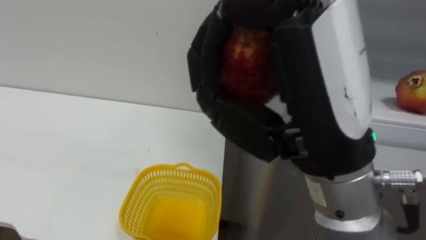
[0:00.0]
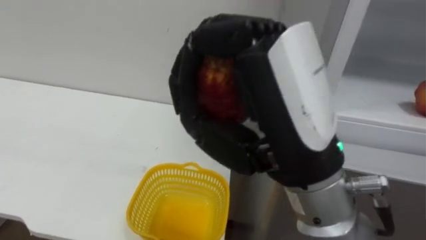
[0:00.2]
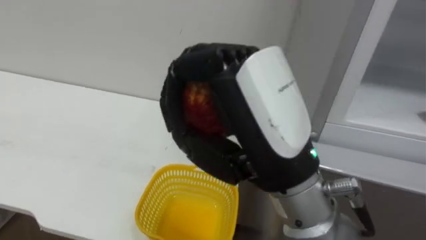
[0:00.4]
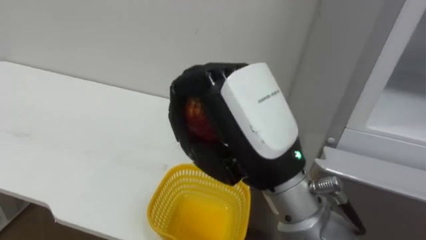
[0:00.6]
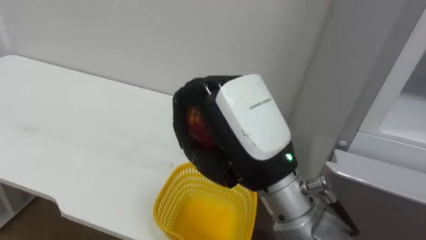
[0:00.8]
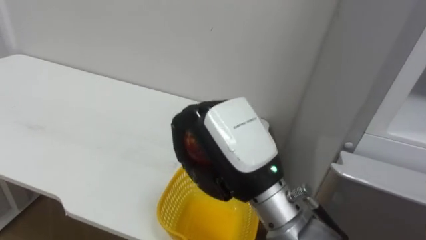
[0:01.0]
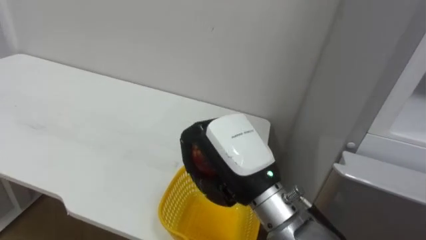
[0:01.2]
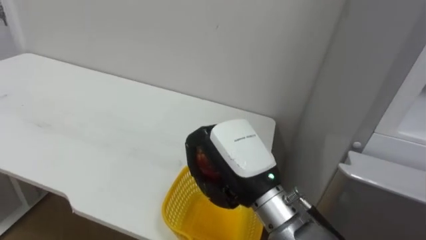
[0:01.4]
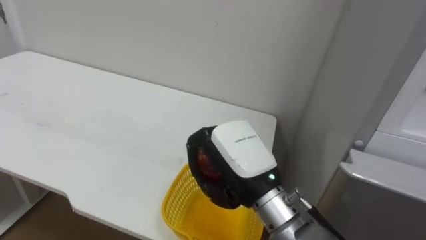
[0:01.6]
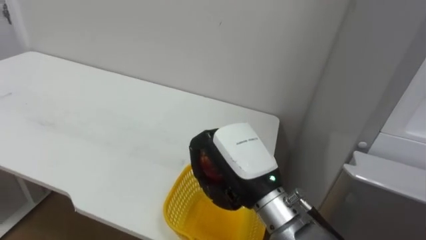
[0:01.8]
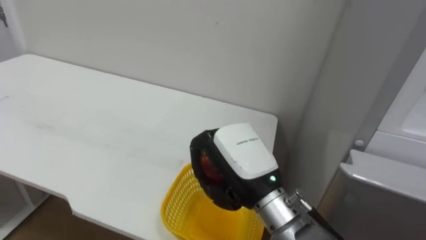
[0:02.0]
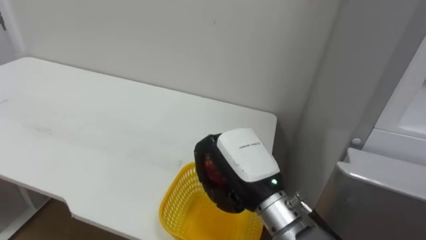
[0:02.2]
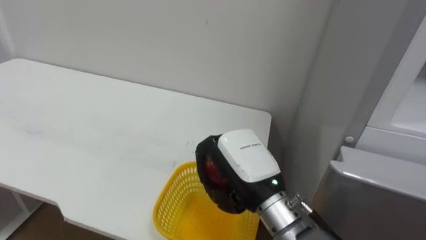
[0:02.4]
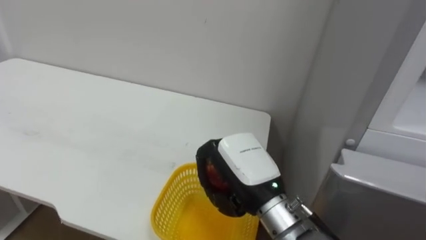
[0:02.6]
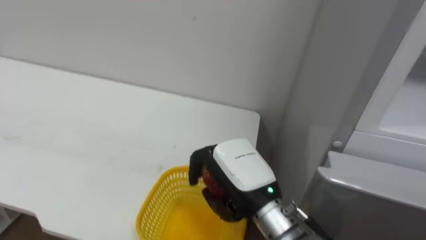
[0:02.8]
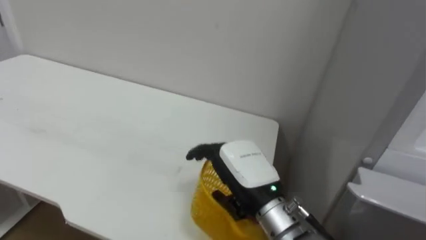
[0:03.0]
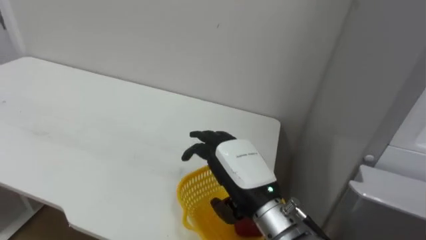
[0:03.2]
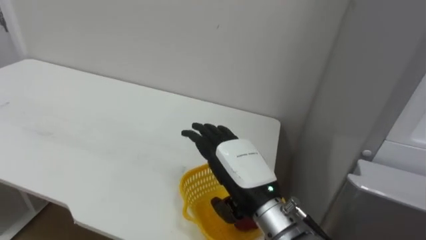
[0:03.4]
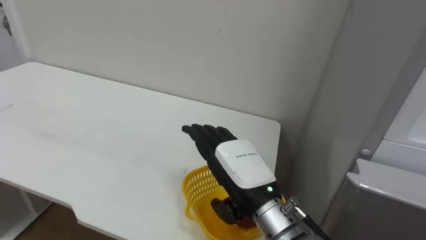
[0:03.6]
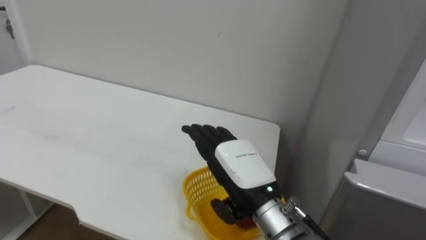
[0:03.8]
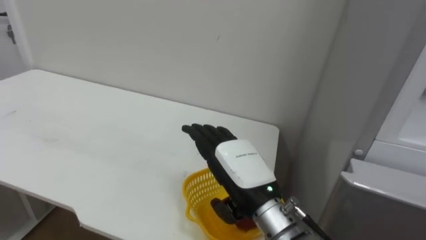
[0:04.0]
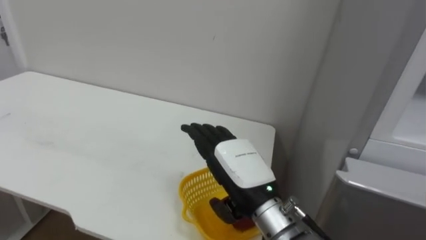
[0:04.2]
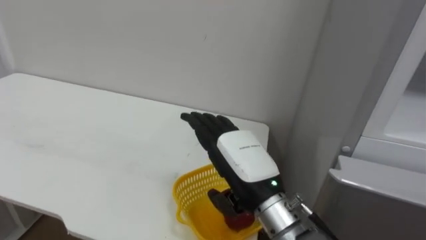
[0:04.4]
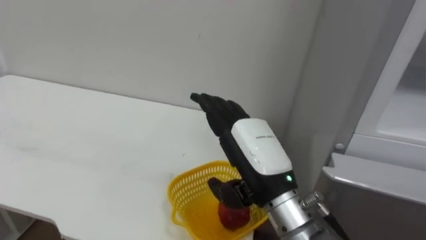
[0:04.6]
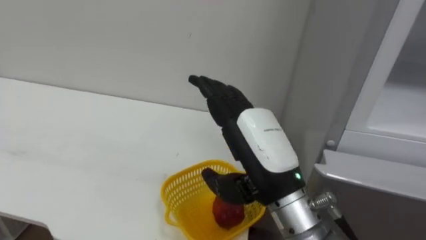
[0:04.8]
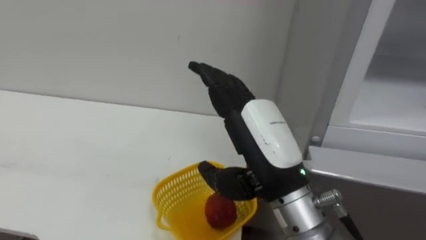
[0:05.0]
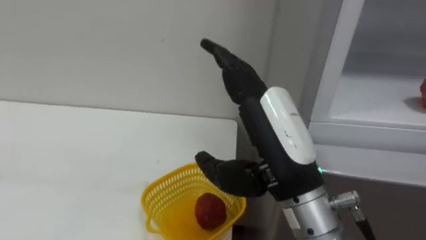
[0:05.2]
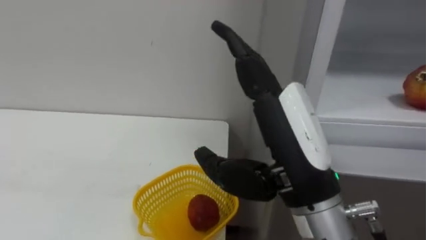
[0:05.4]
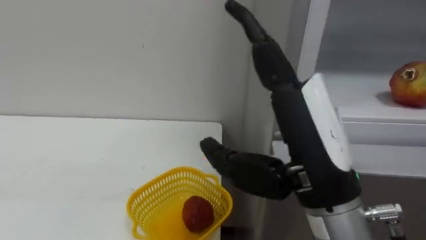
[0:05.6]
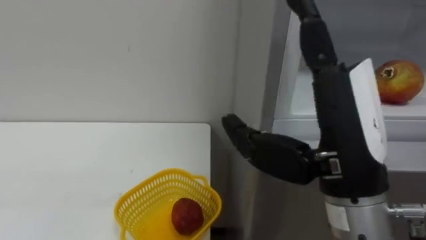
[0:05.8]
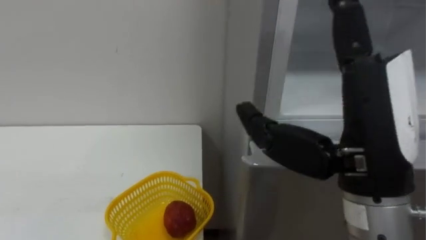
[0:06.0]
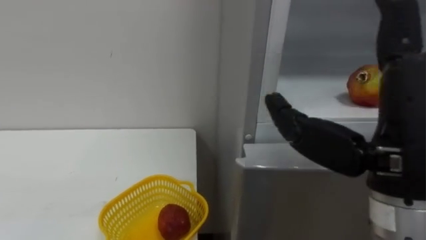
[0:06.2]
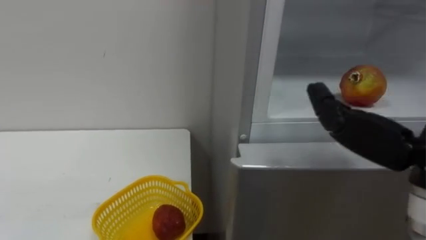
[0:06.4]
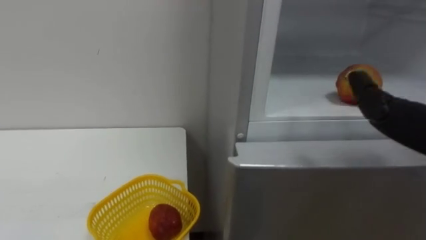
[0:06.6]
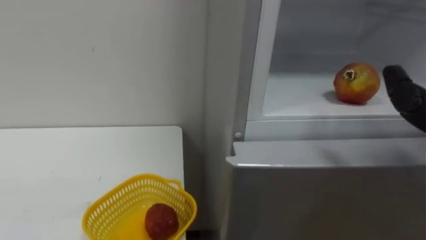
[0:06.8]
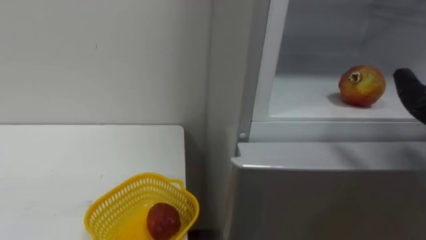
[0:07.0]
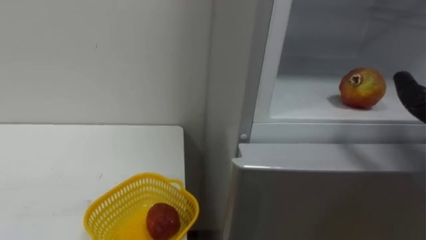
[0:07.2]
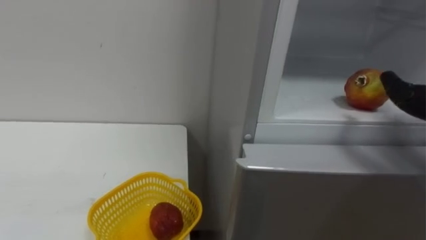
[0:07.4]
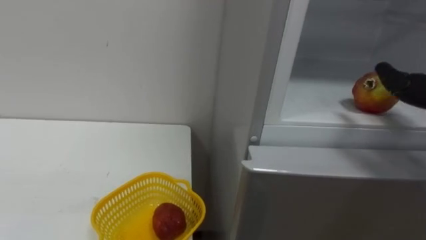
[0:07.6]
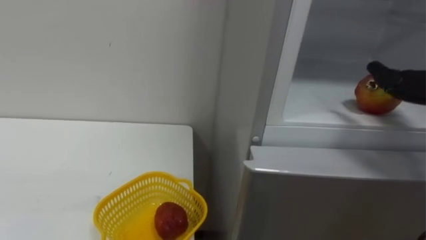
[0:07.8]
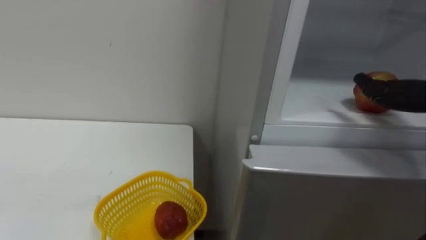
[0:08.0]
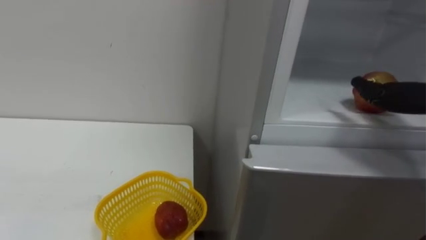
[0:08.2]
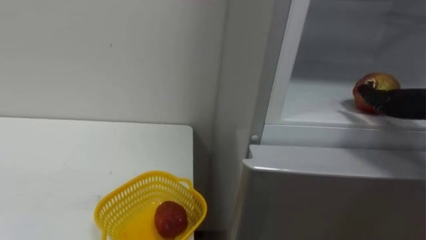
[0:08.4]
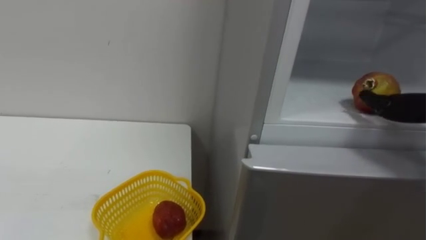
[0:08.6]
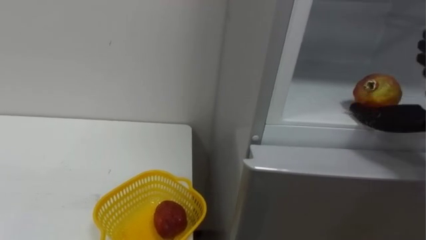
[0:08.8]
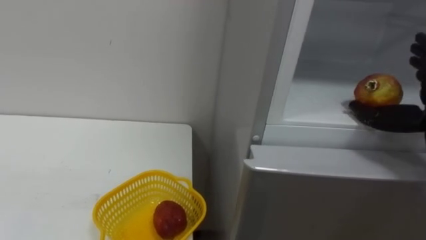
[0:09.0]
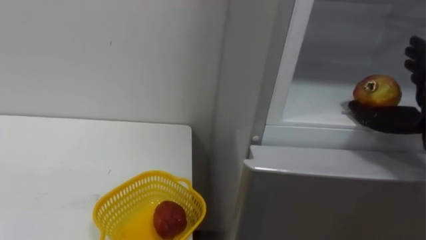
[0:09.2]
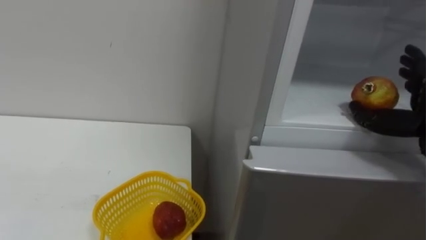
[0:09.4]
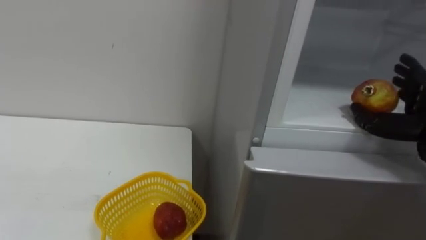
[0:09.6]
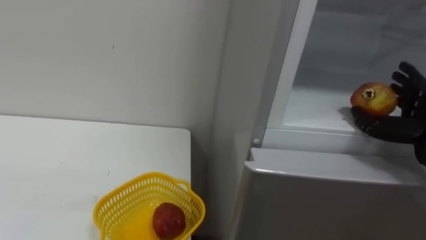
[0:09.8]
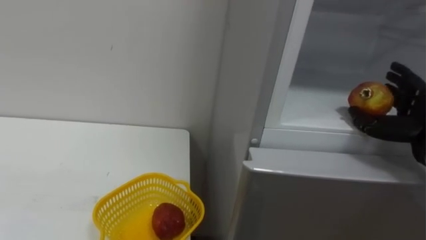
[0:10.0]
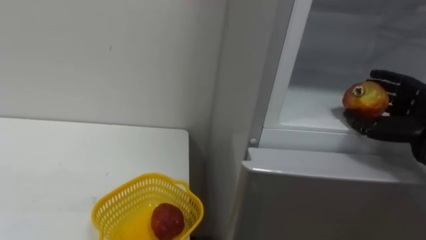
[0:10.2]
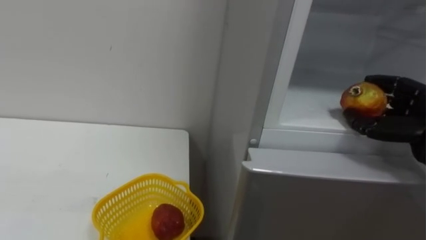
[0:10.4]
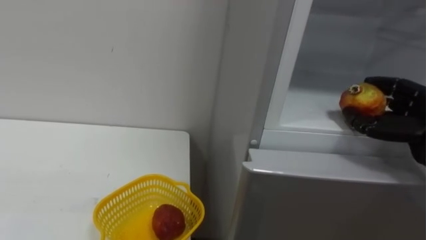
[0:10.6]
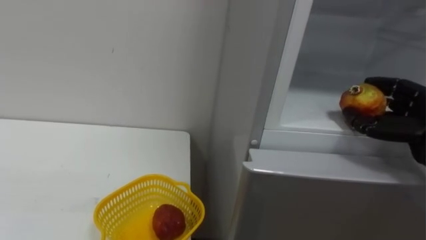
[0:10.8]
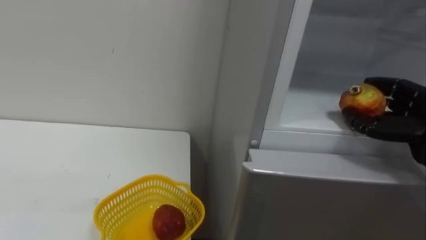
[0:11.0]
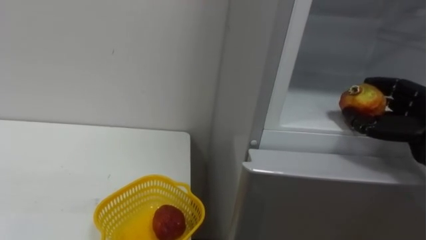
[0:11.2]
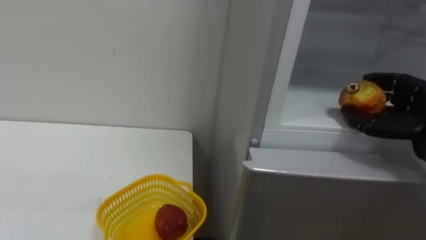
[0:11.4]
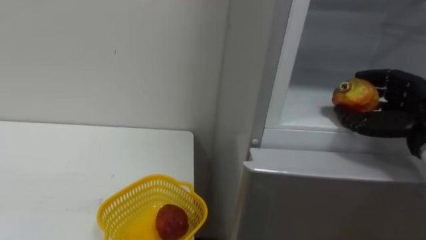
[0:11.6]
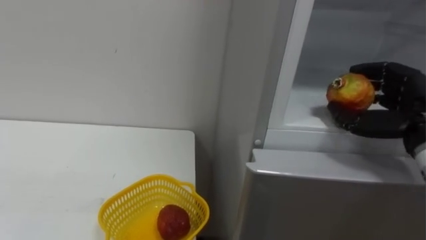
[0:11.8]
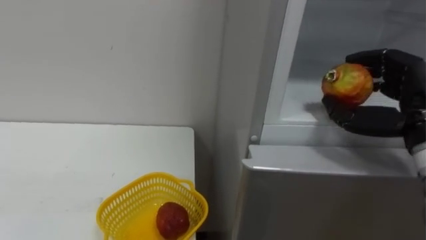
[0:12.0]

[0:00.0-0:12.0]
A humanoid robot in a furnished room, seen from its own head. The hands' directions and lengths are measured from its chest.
Task of the whole recording: Open the refrigerator door, take out the apple and the pomegranate, place them in the fruit basket on the left, and close the refrigerator door.
0:00.0 to 0:01.6: The right hand shifts approximately 20 cm downward and forward.
0:01.6 to 0:03.0: The right hand opens up.
0:04.4 to 0:06.0: The right hand heads upward, to the right and backward, covering approximately 20 cm.
0:10.4 to 0:12.0: The right hand moves upward and to the left, some 5 cm.

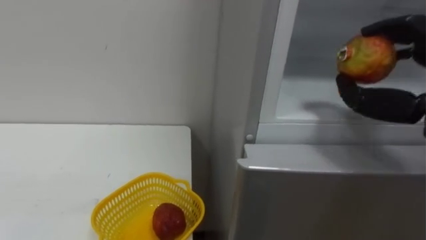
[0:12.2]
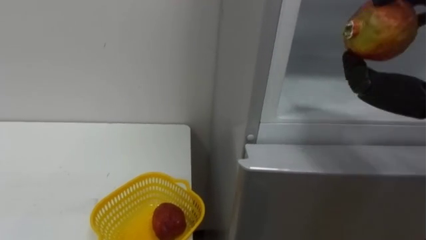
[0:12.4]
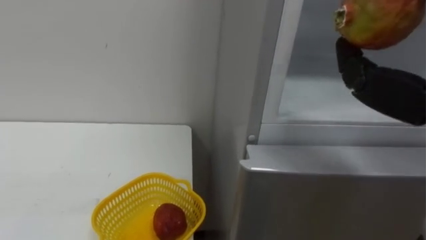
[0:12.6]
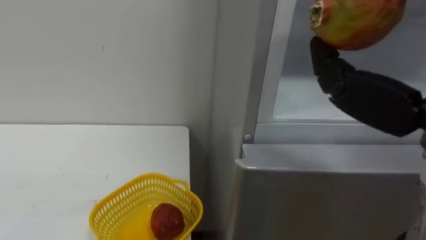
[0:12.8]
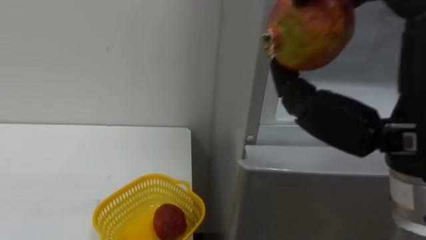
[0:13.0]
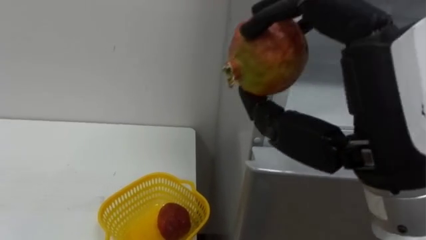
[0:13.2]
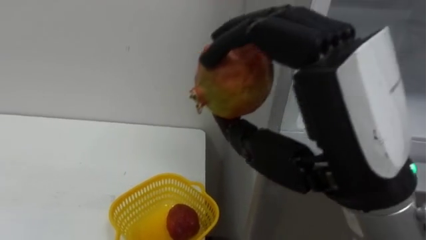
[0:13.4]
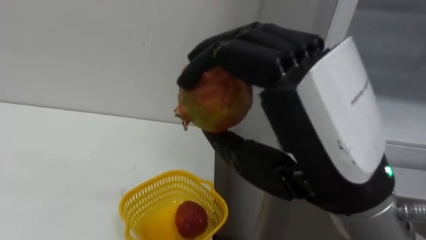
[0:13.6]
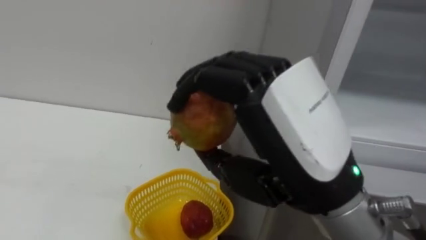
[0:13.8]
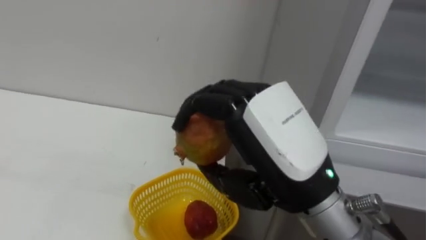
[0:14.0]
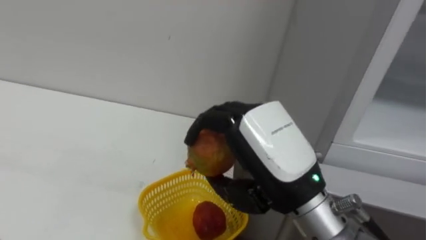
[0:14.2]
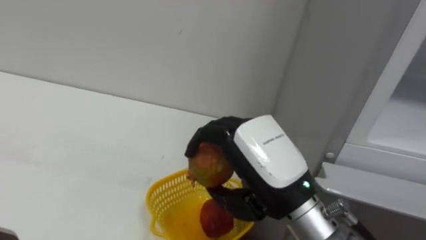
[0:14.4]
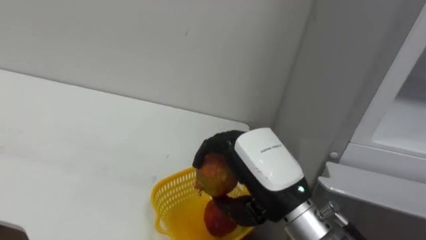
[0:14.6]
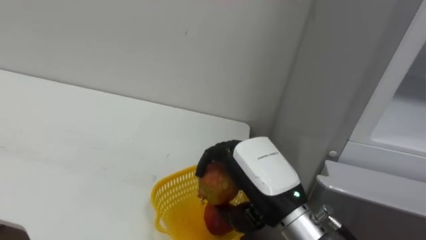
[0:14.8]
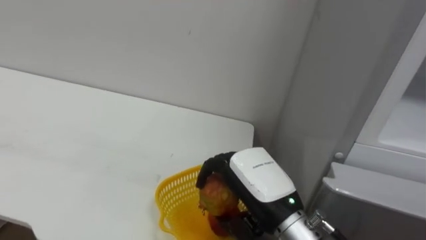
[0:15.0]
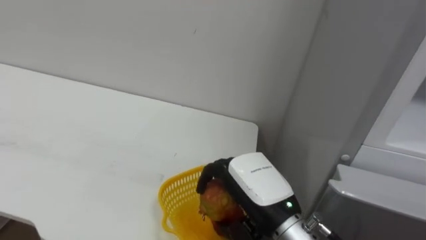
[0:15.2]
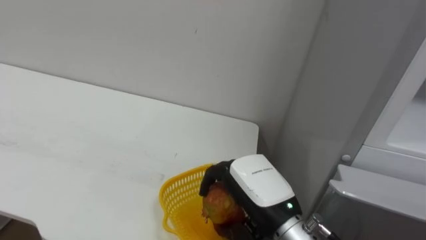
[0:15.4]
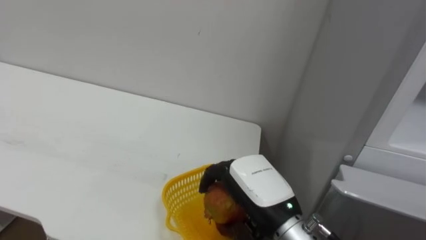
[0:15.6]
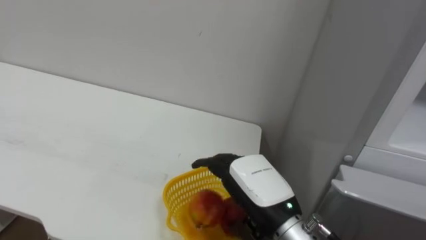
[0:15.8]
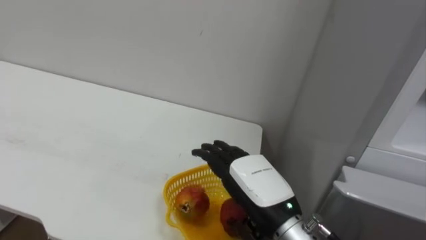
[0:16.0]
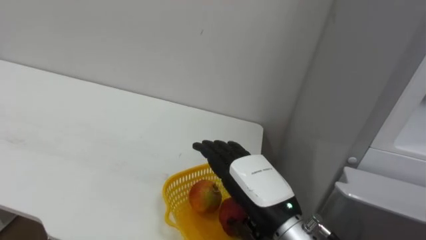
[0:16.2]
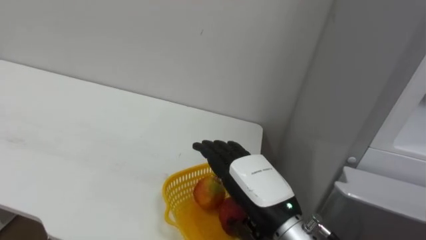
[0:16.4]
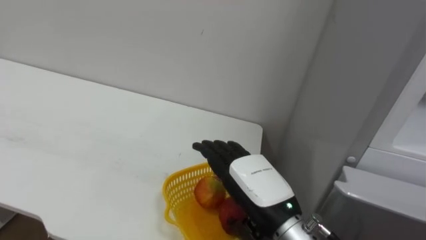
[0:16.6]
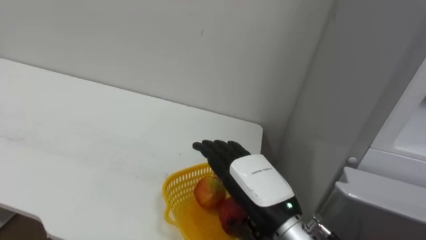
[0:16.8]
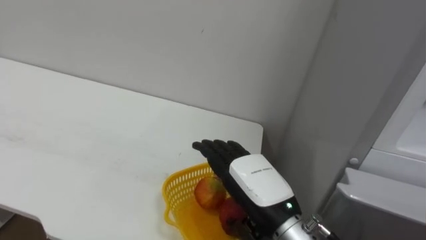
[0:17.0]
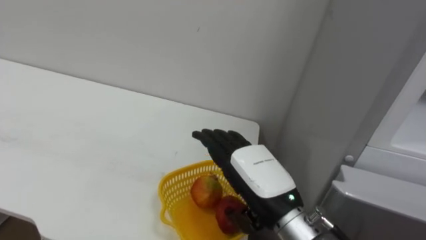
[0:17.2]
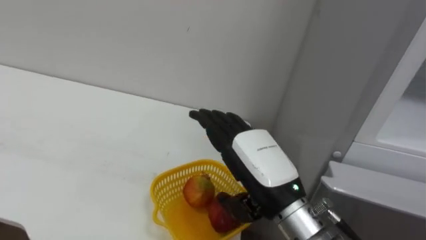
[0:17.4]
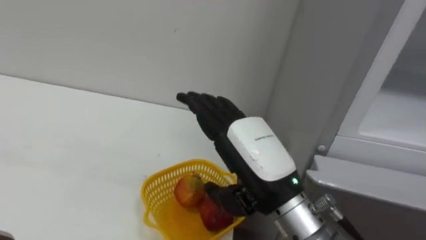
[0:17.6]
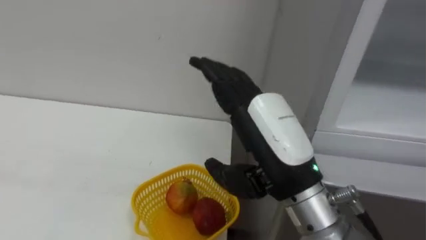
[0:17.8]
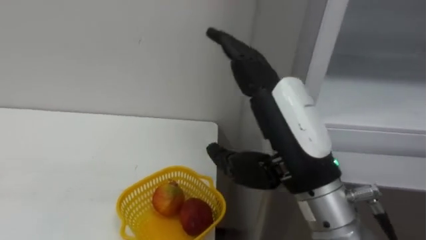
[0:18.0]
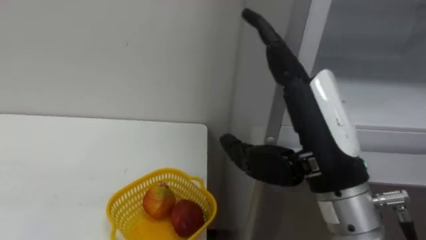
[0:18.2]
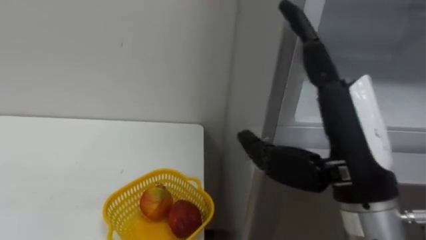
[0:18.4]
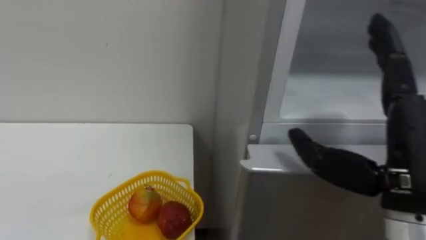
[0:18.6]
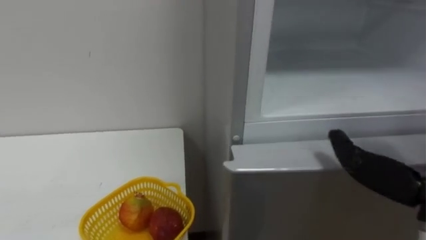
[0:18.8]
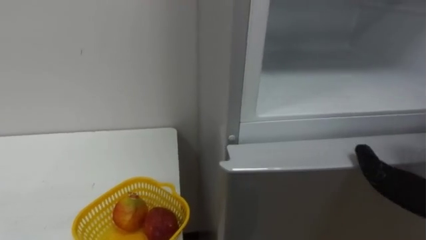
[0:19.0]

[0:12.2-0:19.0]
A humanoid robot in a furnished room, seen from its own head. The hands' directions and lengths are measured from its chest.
Task of the whole recording: Open the refrigerator door, take out the apple and the pomegranate, place them in the fruit basket on the left, and close the refrigerator door.
0:13.6 to 0:15.0: The right hand goes approximately 20 cm downward and forward.
0:15.0 to 0:16.2: The right hand opens up.
0:16.2 to 0:17.6: The right hand is displaced upward by about 10 cm.
